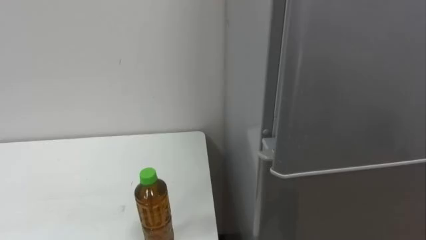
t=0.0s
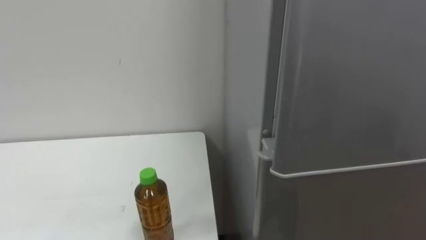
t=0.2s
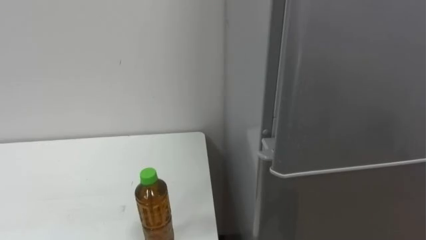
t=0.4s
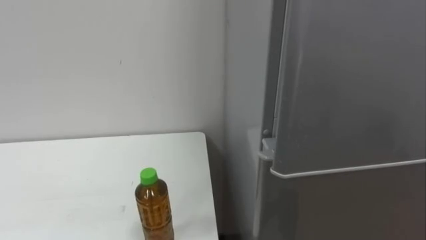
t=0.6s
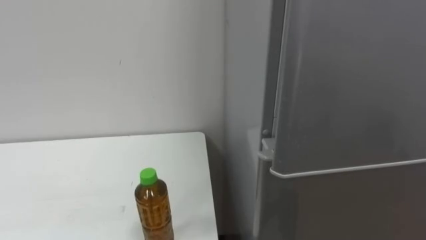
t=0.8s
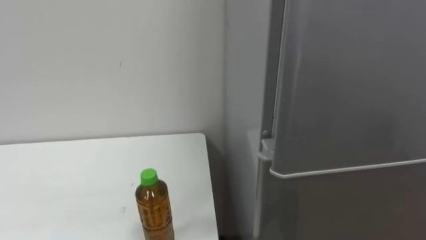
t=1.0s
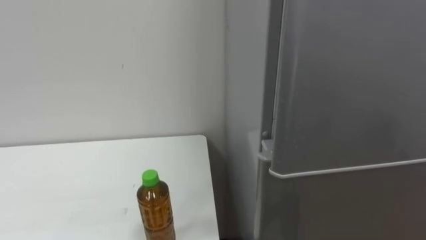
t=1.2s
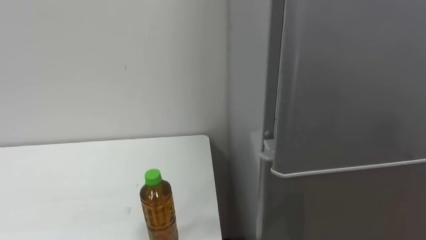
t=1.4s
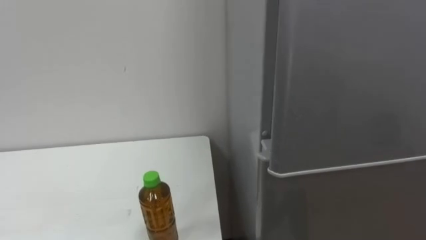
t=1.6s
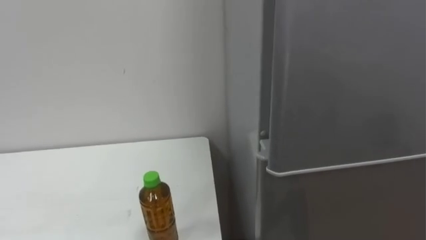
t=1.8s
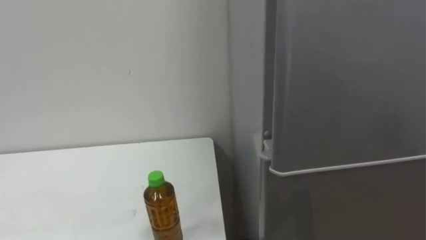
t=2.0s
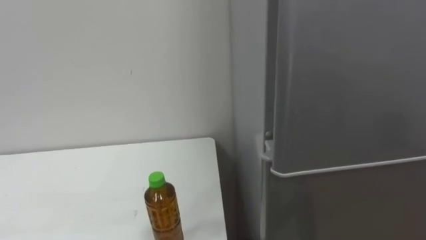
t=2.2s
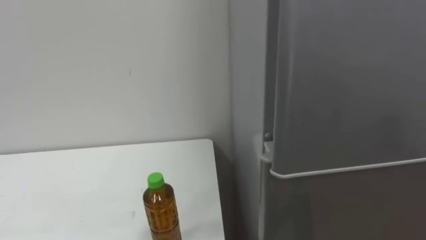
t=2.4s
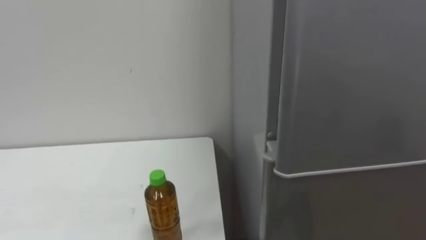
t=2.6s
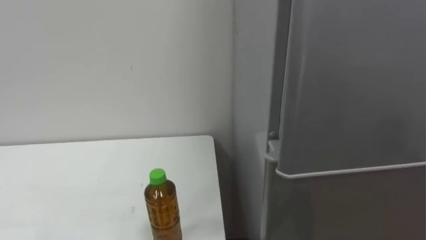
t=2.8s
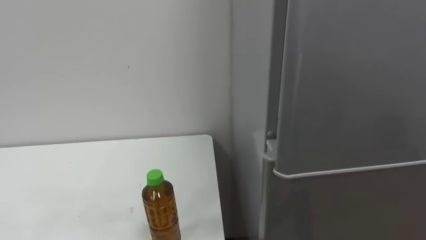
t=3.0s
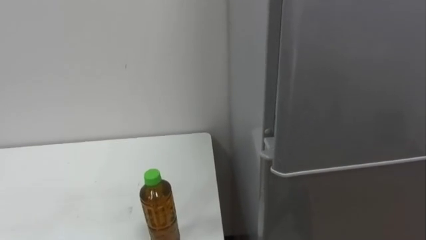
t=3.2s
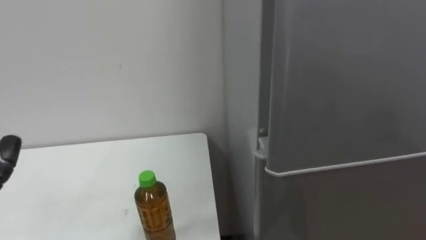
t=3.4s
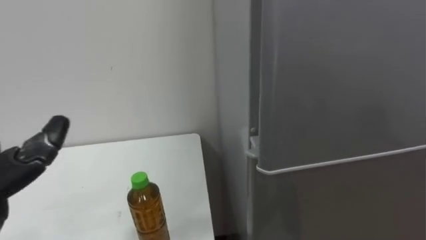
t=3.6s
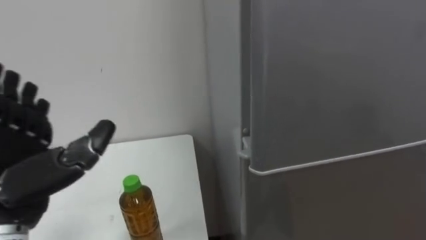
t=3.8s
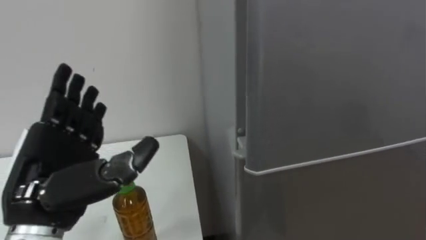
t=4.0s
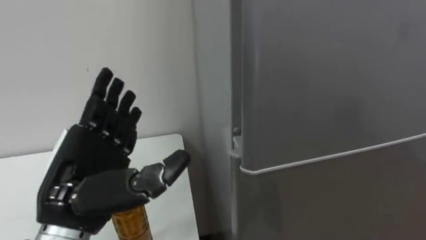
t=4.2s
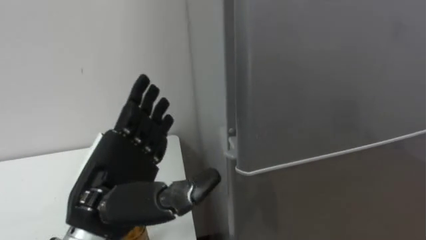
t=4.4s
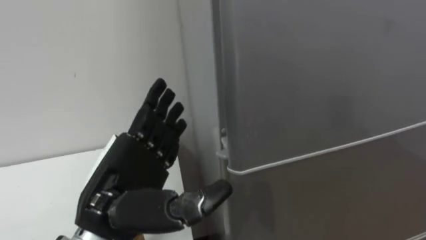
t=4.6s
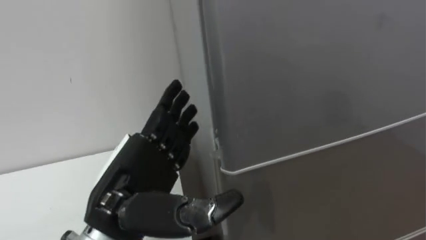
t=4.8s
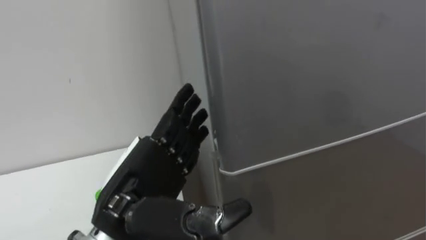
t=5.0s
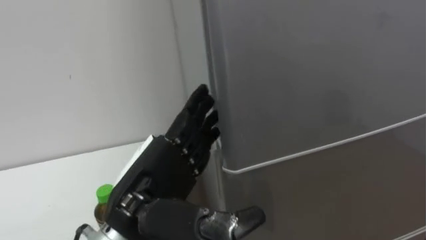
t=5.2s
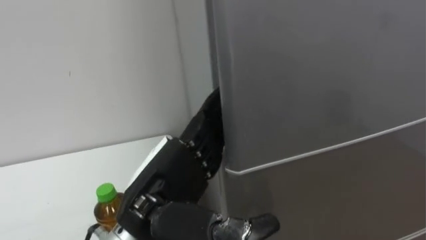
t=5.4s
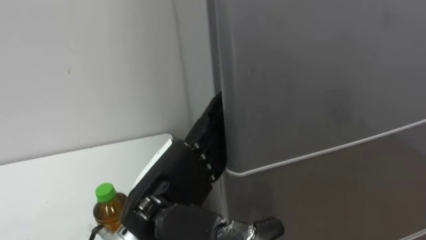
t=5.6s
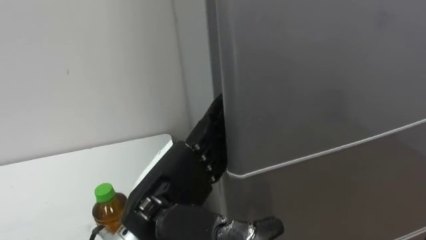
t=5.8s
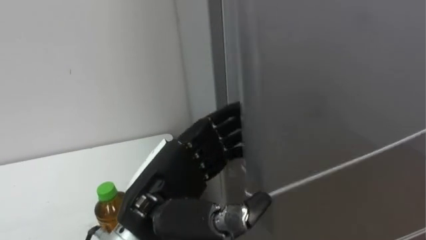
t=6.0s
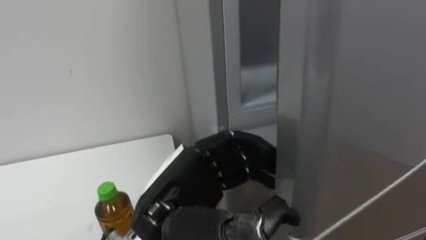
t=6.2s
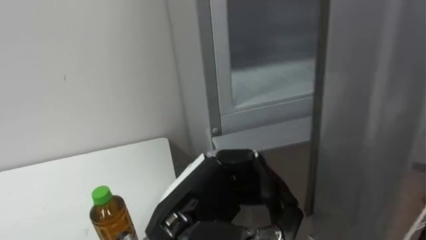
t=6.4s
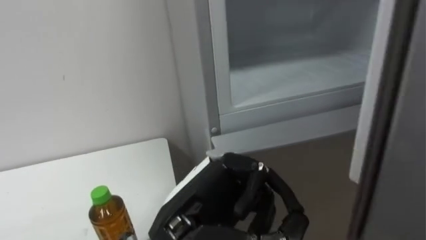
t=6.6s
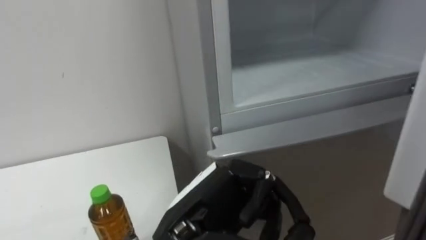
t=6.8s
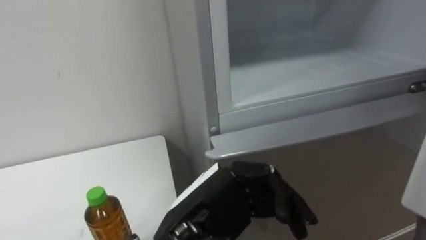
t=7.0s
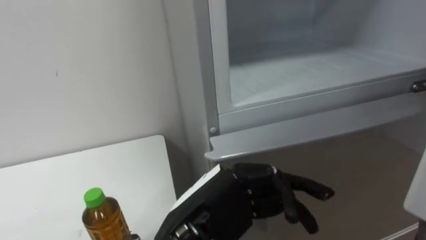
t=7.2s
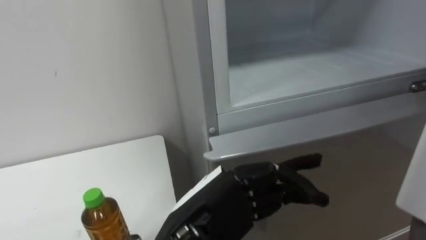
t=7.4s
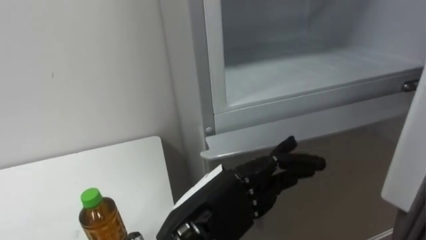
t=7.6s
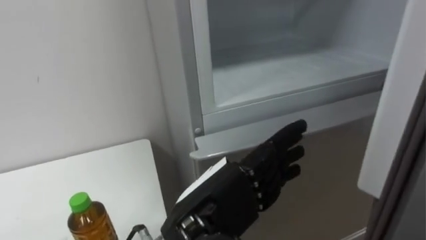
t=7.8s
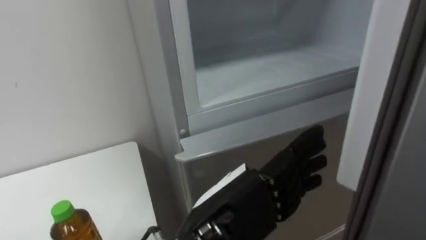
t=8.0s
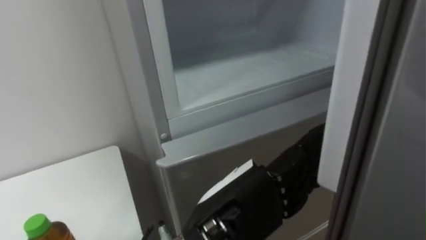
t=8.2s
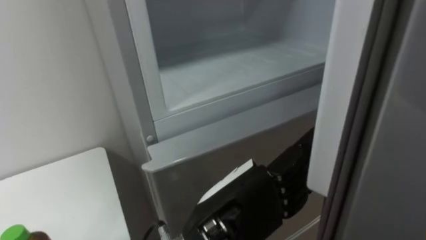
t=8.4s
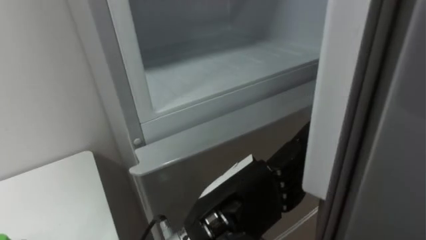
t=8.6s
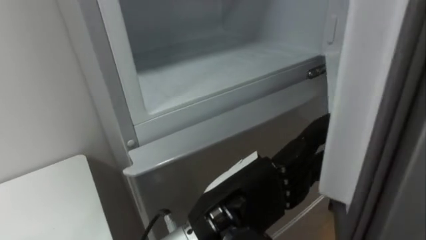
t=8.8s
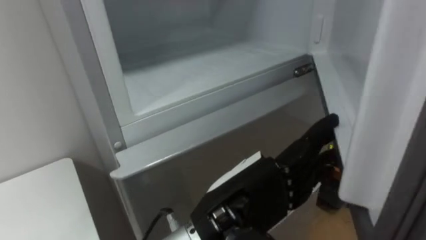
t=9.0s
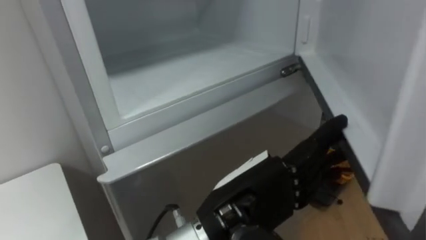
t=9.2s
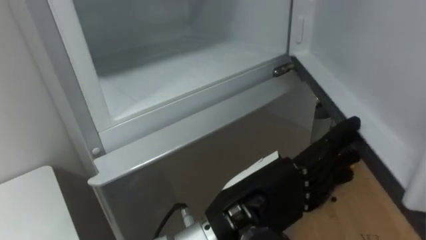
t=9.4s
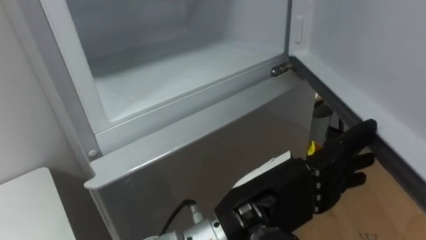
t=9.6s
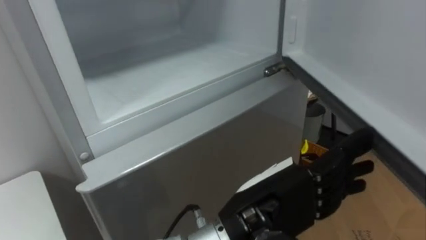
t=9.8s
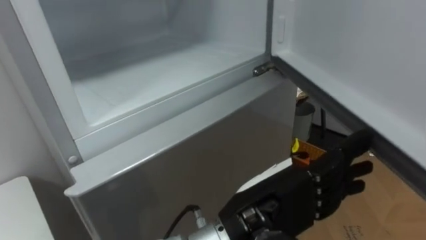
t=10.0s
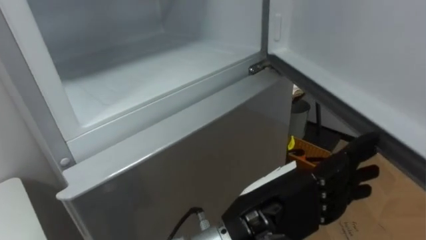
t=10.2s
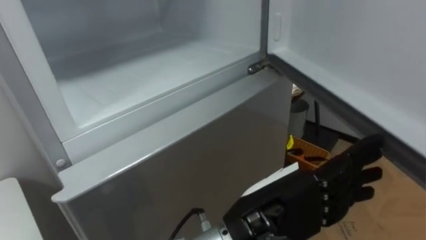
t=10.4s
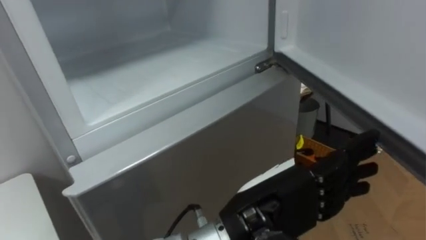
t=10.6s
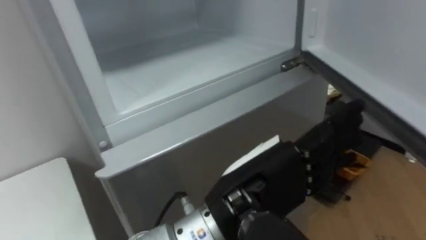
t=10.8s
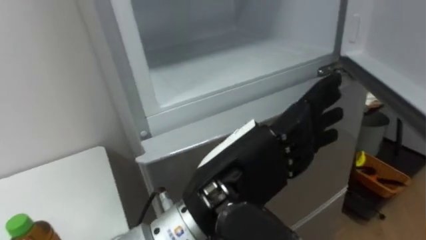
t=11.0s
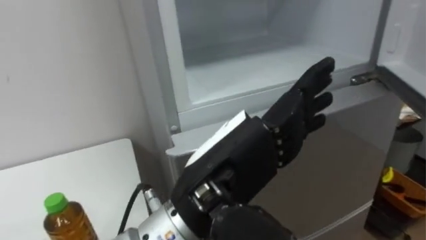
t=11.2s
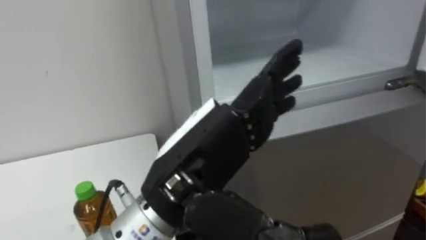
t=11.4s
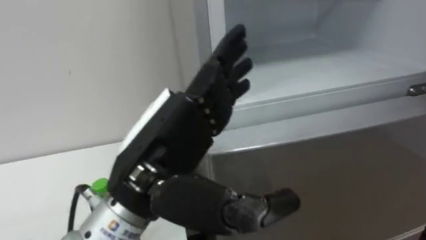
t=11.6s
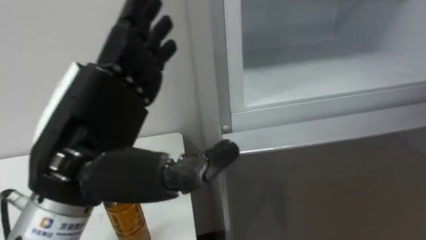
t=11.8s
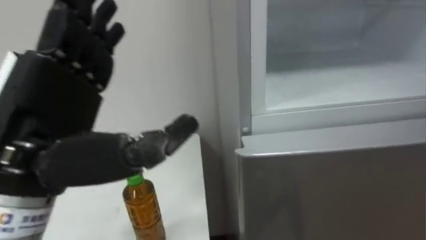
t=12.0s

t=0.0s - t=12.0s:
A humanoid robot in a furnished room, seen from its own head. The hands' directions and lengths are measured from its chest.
Task of the whole recording: Open the upper refrigerator door, put the drink from the table into the refrigerator, and then close the refrigerator door.
t=4.4s - t=6.0s: The left hand heads to the right, covering some 5 cm.
t=6.0s - t=7.6s: The left hand ends up some 5 cm from where it was, and closes and opens again.
t=10.4s - t=12.0s: The left hand shifts some 25 cm to the left and upward.

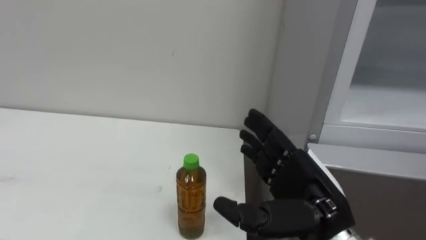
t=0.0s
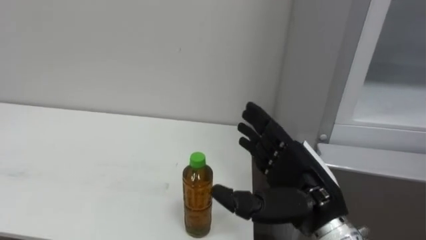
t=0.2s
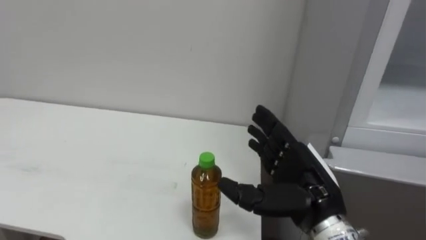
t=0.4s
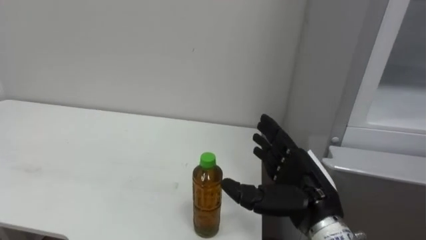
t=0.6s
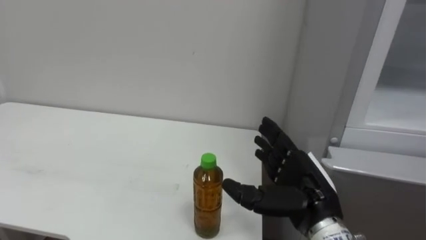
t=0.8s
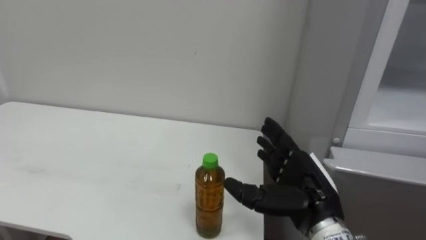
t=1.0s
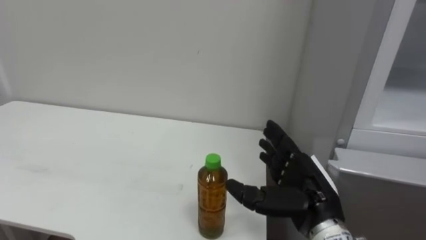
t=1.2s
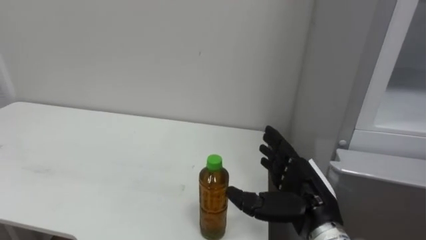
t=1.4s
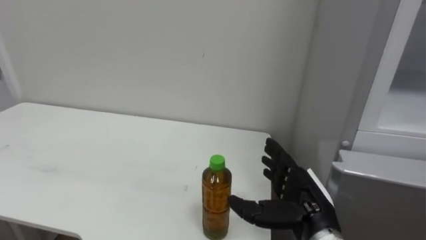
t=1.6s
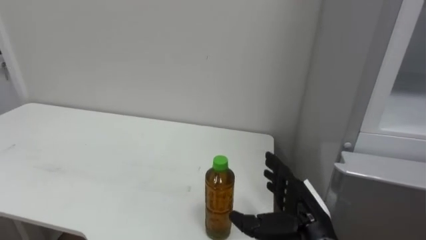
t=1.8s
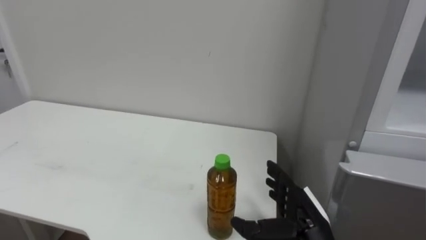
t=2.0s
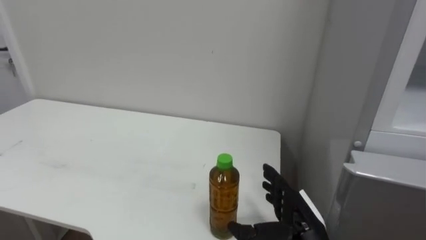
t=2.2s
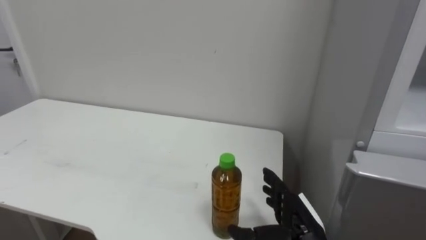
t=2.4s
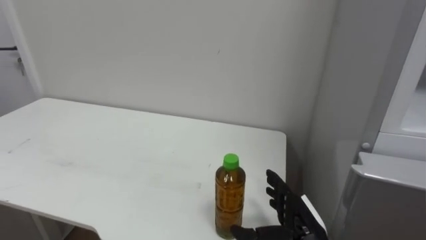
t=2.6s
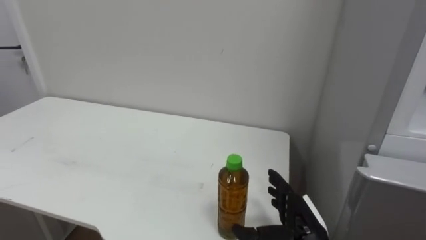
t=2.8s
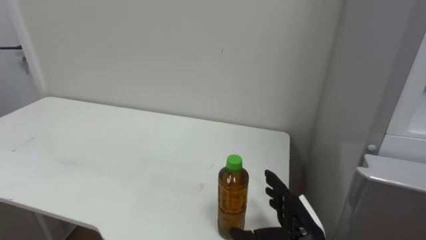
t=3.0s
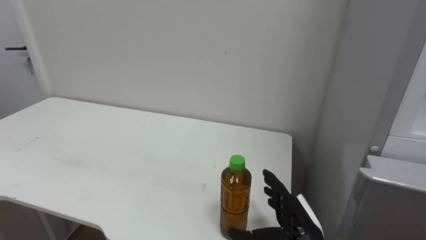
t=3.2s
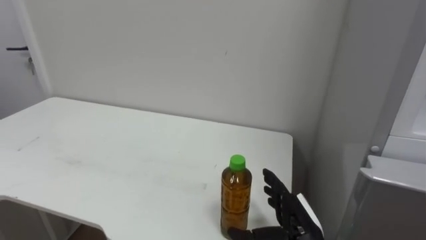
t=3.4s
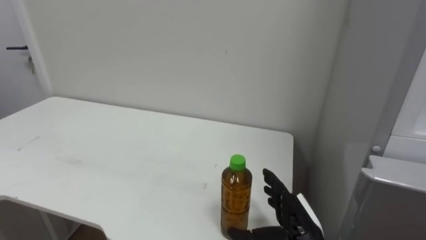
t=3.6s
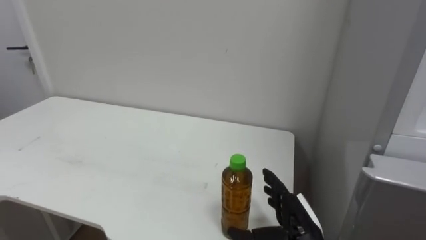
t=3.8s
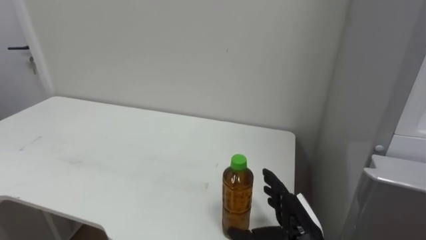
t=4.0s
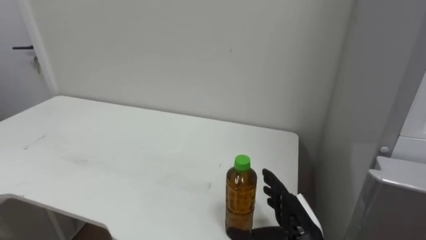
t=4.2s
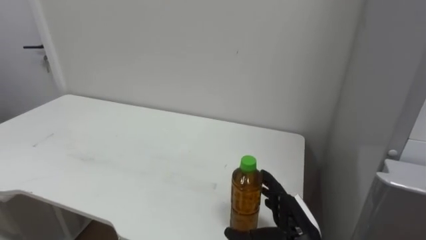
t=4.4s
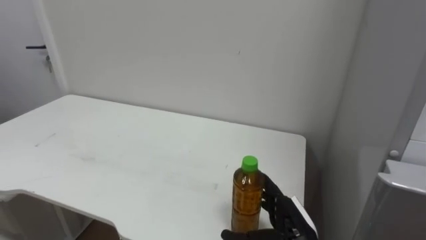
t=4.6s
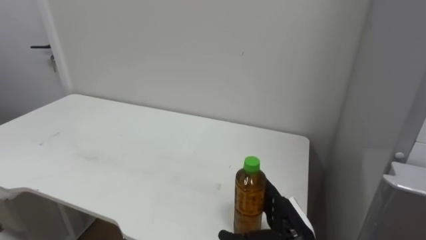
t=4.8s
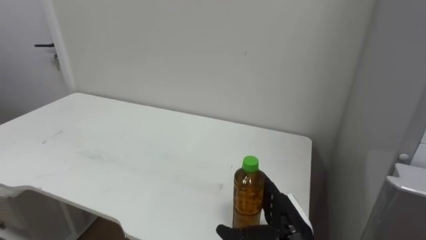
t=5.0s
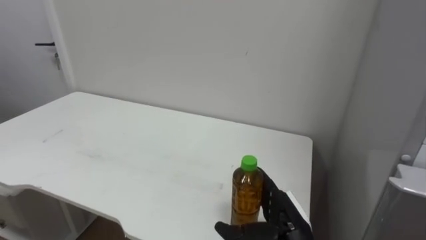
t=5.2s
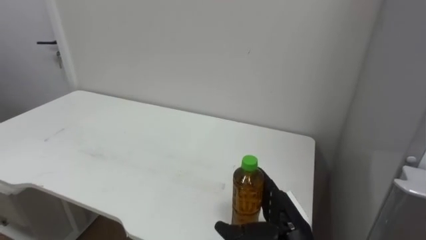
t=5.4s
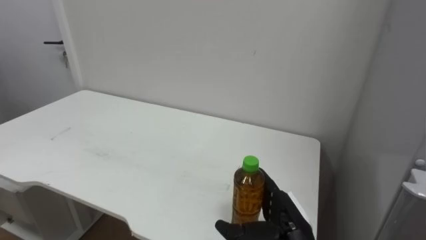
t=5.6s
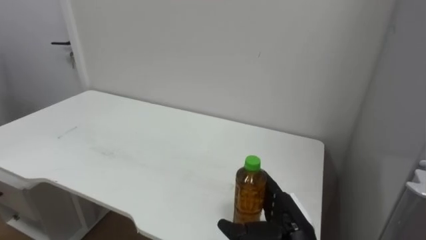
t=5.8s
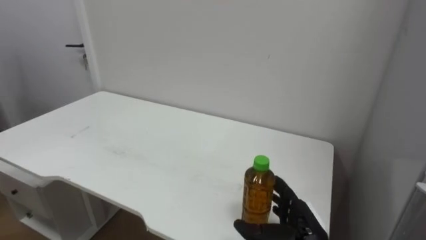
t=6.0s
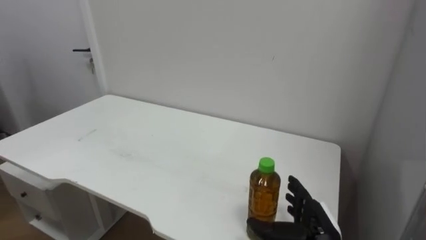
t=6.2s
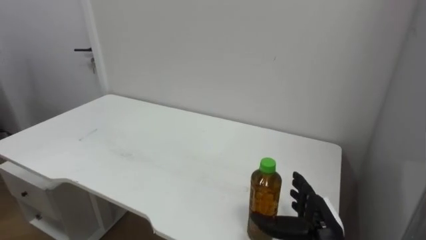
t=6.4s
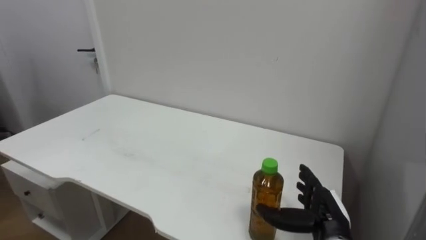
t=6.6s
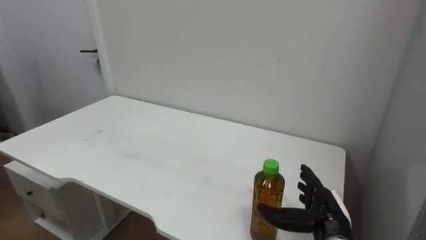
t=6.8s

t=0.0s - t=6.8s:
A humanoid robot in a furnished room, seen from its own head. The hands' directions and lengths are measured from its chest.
Task of the whole recording: Open the upper refrigerator door, put the drink from the table into the refrigerator, and then close the refrigerator door.
t=0.0s - t=1.4s: The right hand shifts by about 5 cm.
t=1.4s - t=2.8s: The right hand moves downward, approximately 10 cm.
t=5.4s - t=6.8s: The right hand is displaced to the right by about 5 cm.
